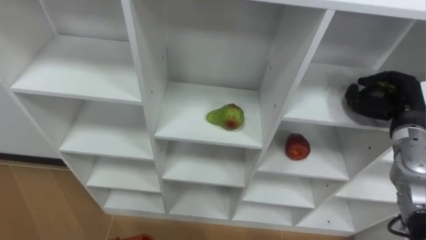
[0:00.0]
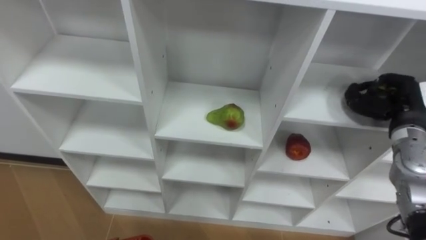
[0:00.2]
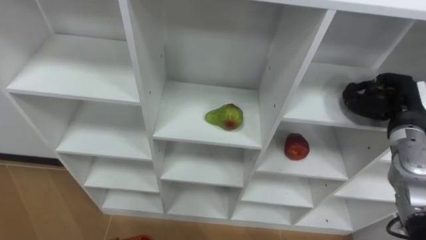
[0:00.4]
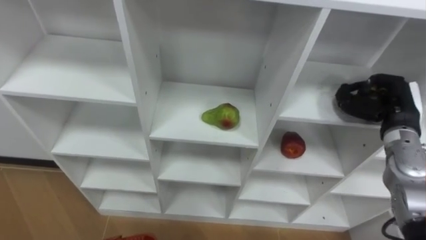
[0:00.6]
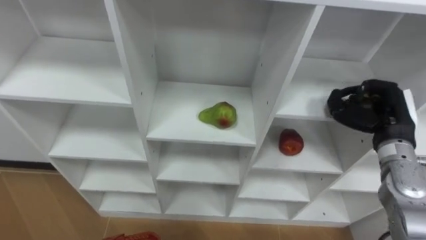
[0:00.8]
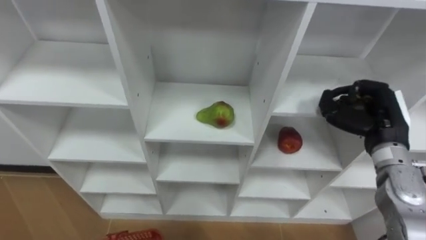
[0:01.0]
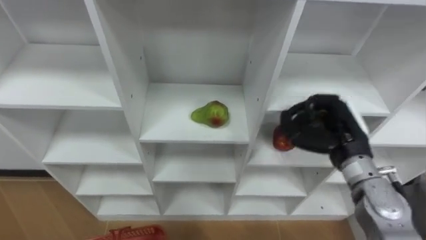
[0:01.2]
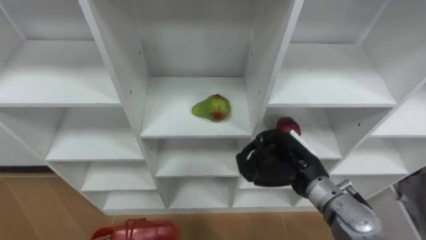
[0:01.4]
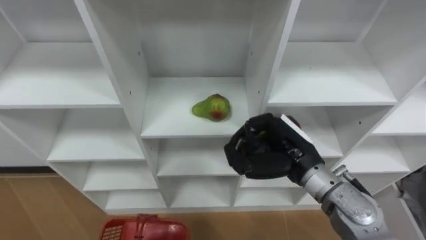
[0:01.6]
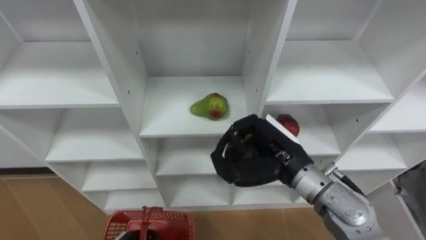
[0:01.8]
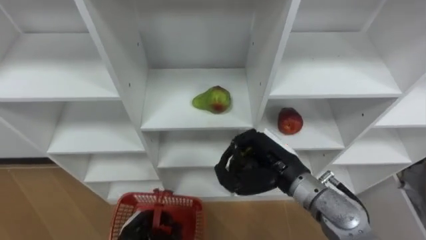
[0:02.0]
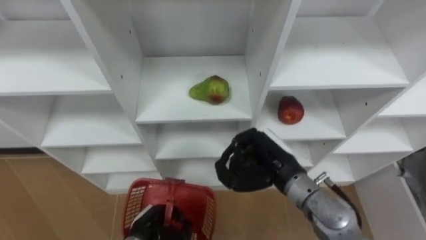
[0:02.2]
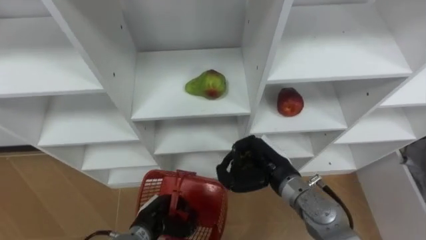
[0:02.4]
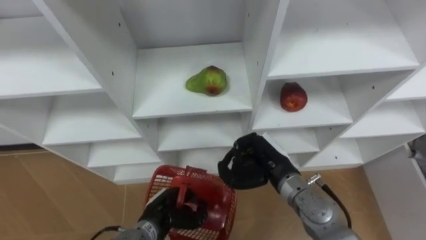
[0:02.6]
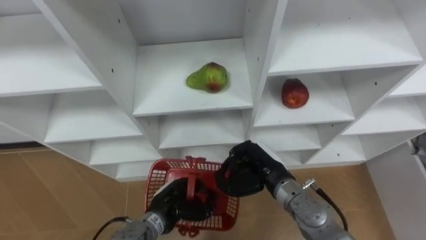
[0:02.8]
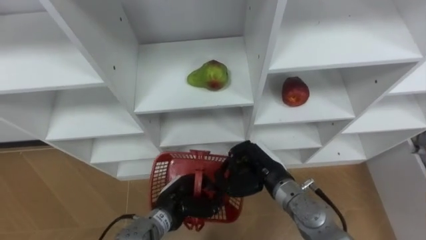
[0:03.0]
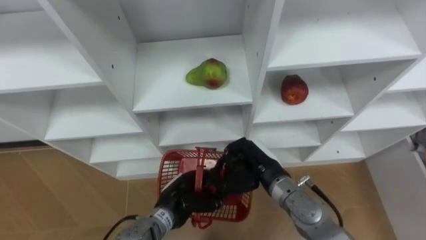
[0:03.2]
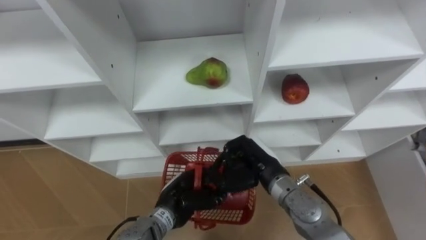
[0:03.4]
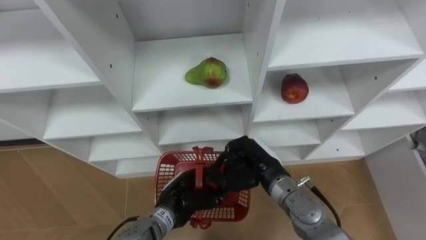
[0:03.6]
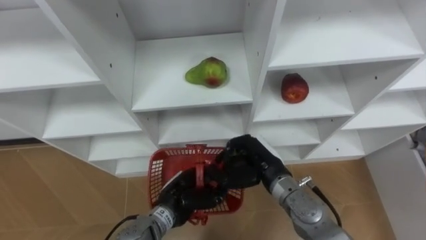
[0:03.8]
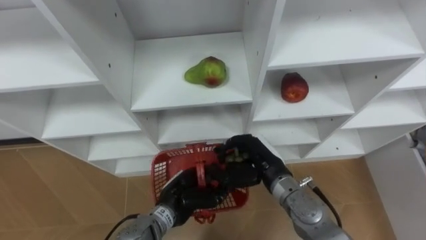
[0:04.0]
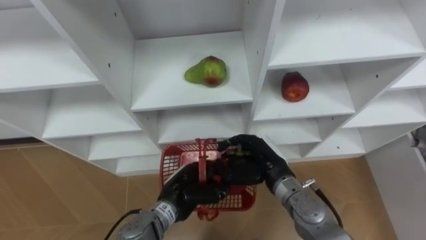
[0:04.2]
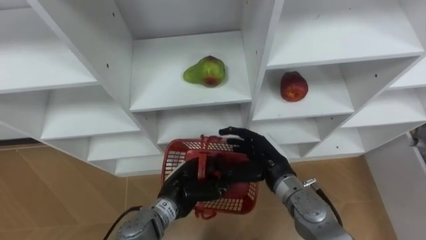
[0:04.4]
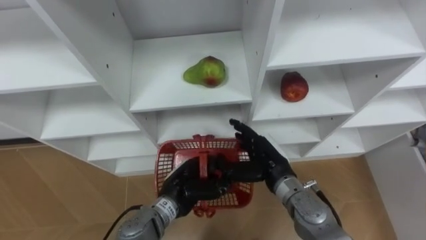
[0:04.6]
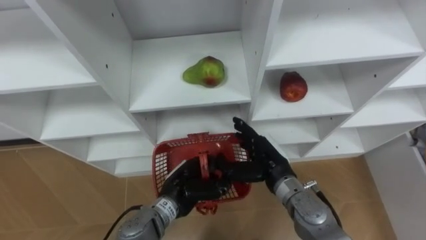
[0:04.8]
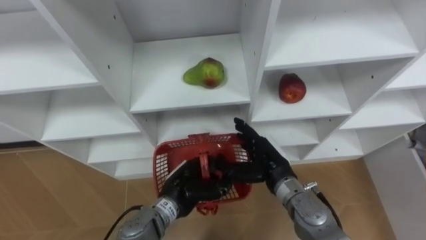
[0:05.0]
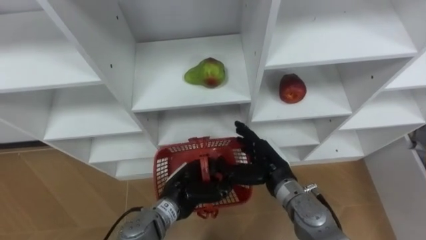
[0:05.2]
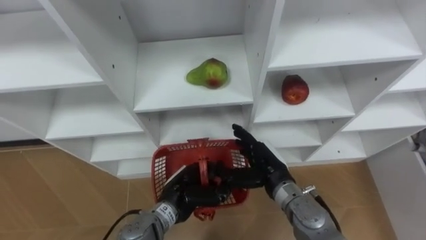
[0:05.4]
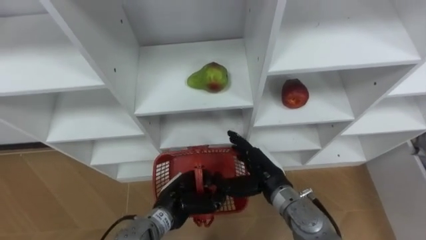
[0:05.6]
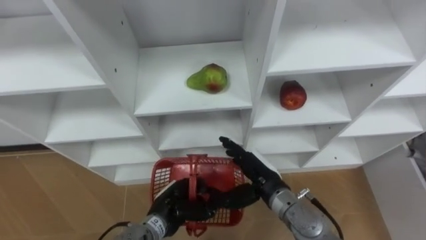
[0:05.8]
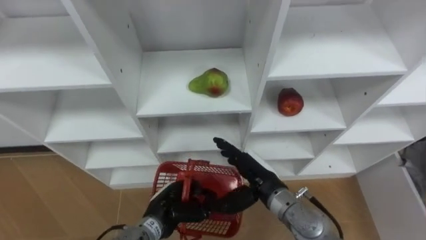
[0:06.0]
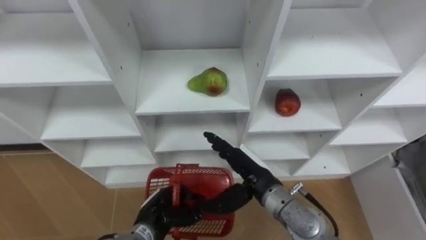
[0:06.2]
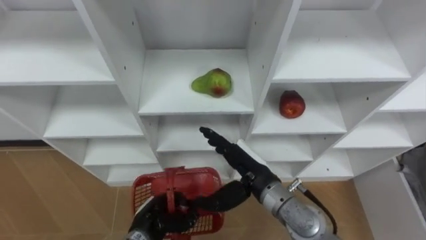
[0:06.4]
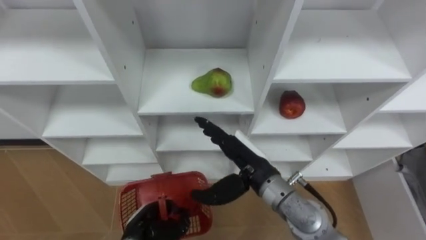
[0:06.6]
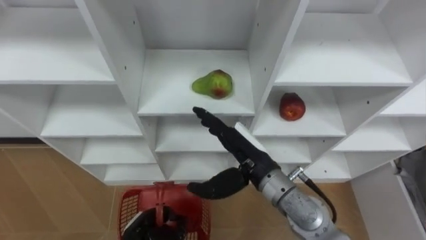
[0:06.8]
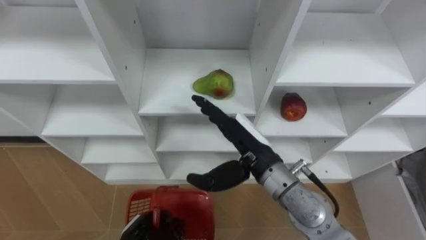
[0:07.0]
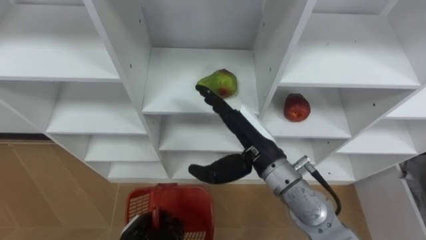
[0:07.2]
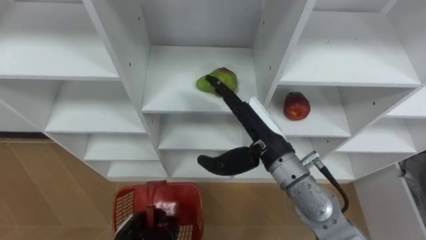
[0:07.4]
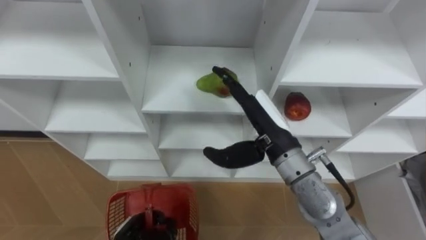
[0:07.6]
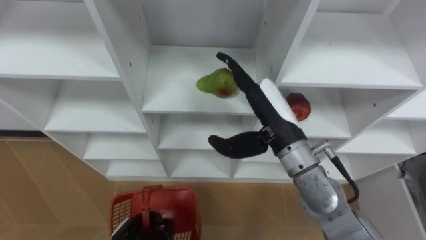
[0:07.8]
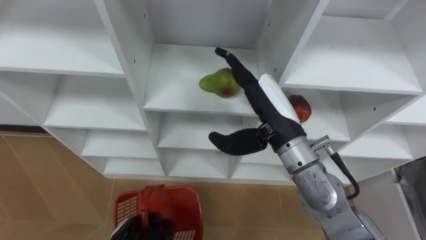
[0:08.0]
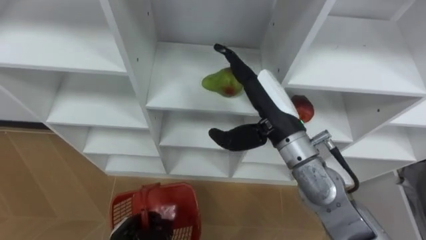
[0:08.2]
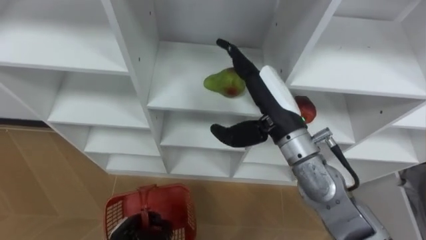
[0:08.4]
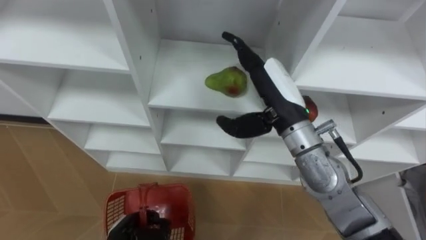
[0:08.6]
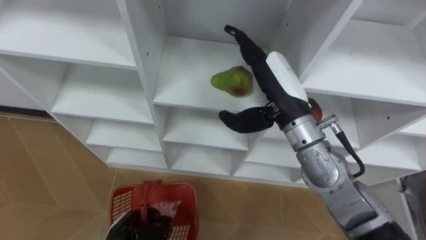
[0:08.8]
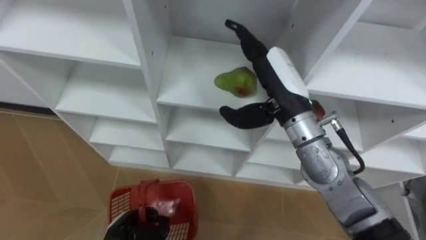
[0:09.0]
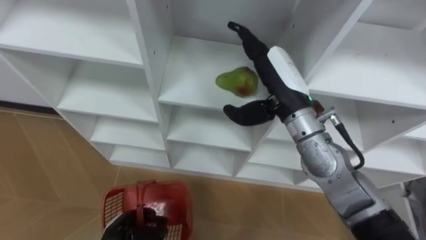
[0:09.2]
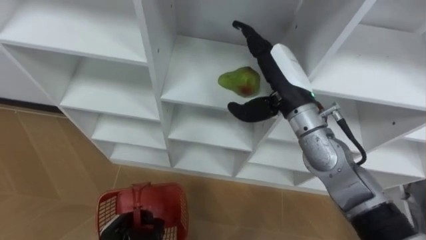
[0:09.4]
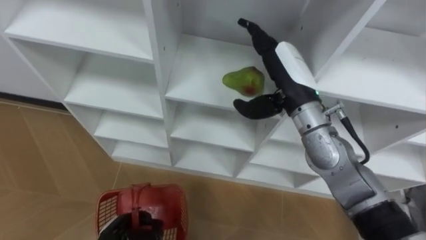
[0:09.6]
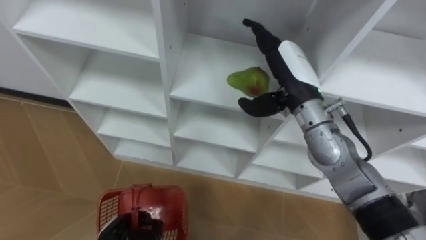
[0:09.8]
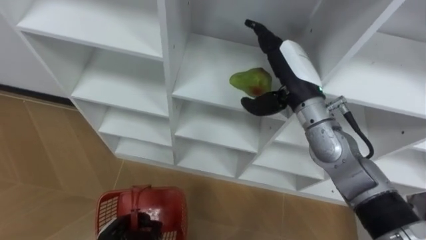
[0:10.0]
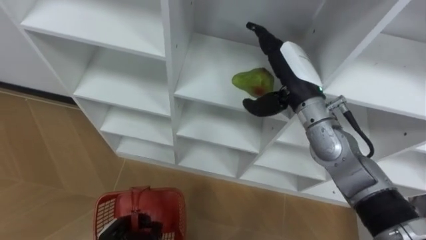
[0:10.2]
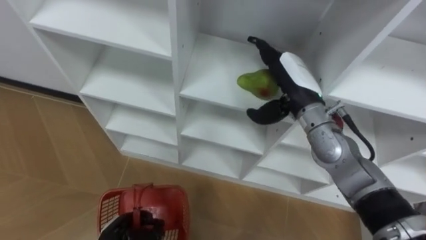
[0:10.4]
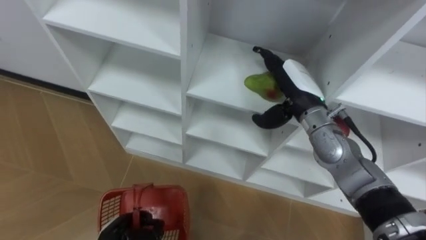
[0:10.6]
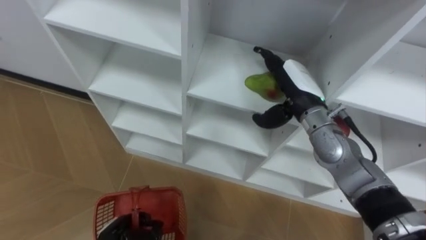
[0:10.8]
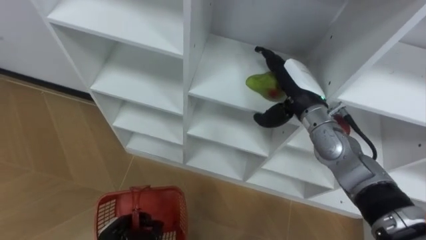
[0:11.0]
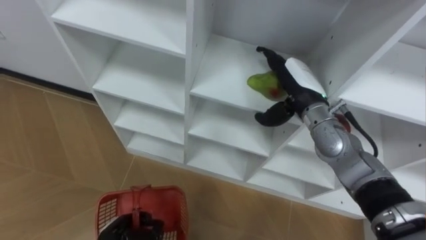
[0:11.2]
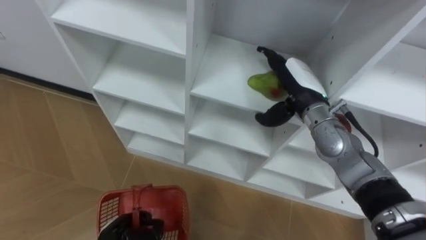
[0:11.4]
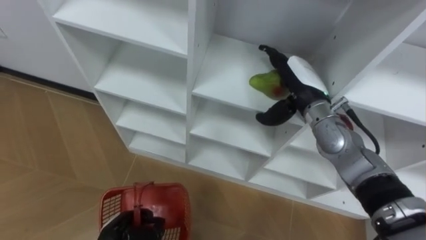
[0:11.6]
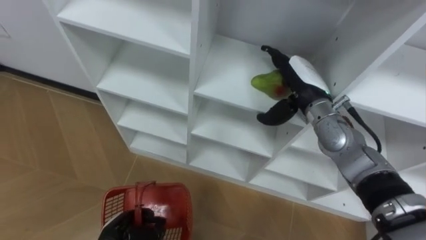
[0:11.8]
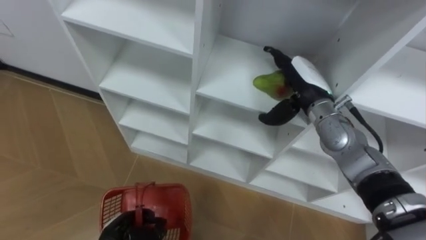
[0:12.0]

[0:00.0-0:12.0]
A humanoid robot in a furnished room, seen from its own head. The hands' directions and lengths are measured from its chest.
Task of the whole recording: Hold the basket and collect the fruits from 3 different cells of the closet into it.
0:00.0 to 0:01.6: The right hand is displaced to the left by approximately 20 cm.
0:01.6 to 0:03.0: The right hand moves downward, approximately 10 cm.
0:03.0 to 0:04.4: The right hand opens.
0:04.4 to 0:06.0: The left hand changes place by roughly 5 cm.
0:06.0 to 0:07.6: The right hand goes about 15 cm upward; the left hand moves to the left, backward and downward, some 10 cm.
0:07.6 to 0:09.0: The right hand shifts approximately 5 cm upward.
0:09.0 to 0:10.4: The right hand ends up some 5 cm from where it was.
0:10.4 to 0:12.0: The right hand shifts by roughly 5 cm.

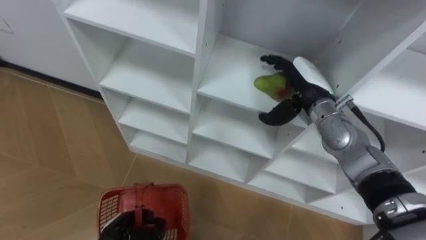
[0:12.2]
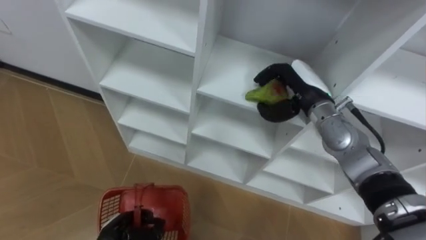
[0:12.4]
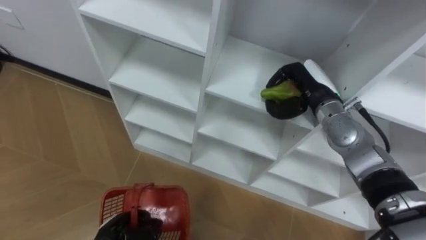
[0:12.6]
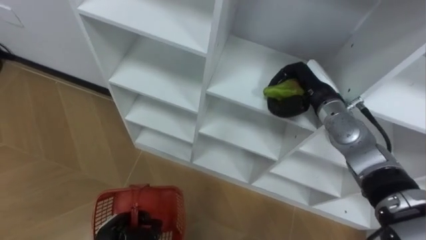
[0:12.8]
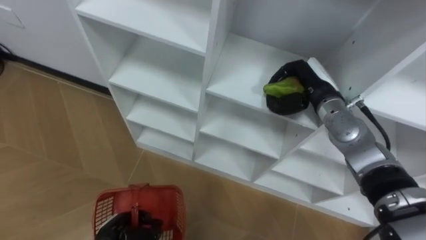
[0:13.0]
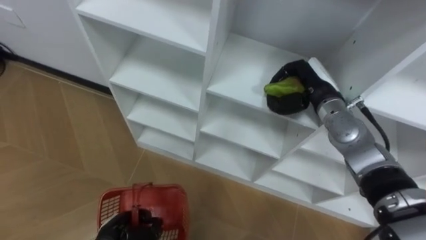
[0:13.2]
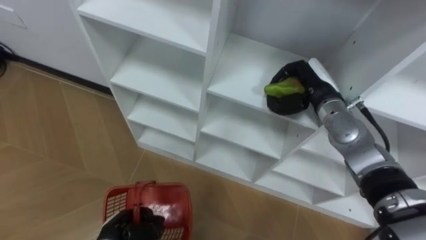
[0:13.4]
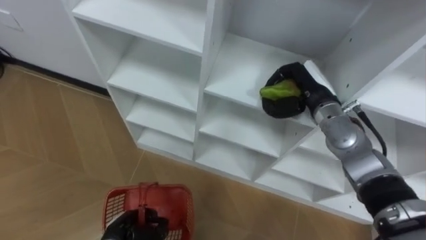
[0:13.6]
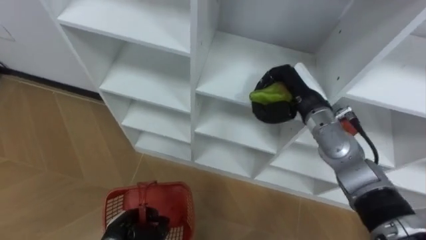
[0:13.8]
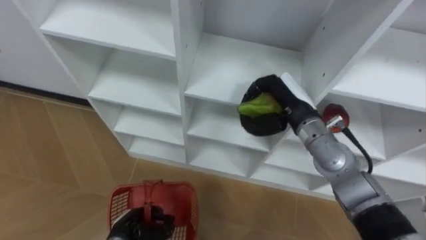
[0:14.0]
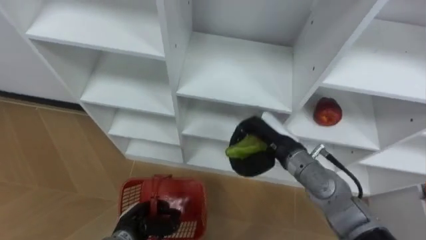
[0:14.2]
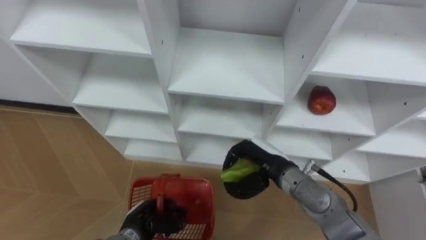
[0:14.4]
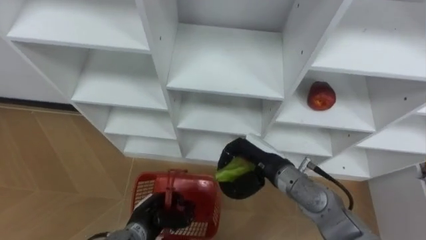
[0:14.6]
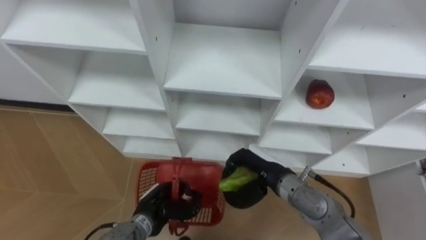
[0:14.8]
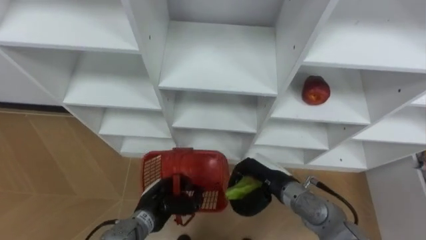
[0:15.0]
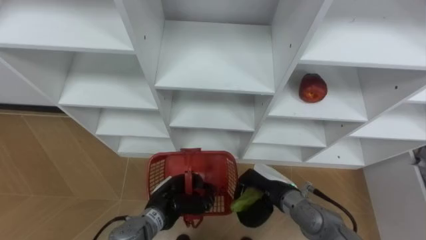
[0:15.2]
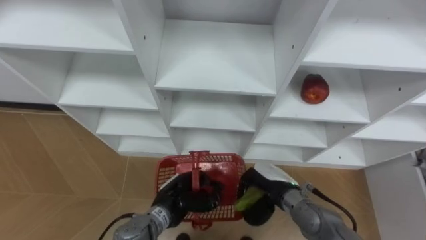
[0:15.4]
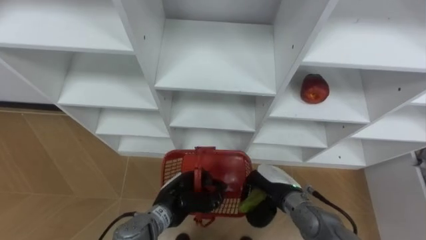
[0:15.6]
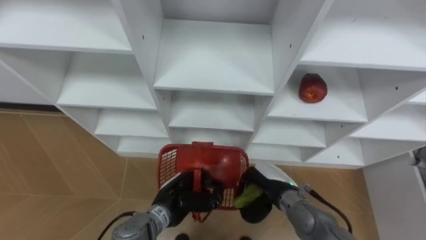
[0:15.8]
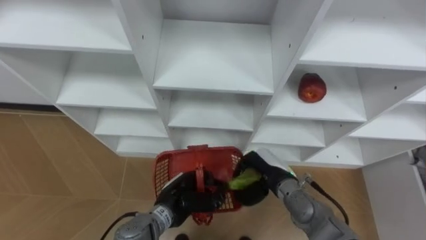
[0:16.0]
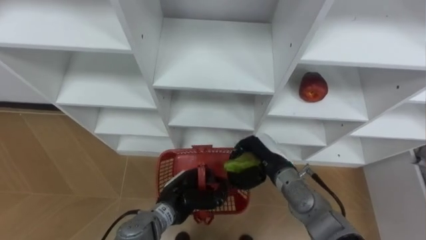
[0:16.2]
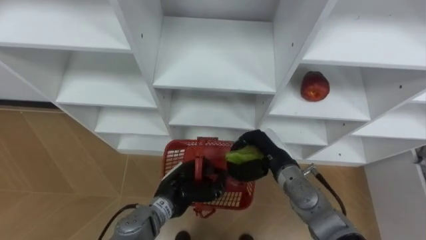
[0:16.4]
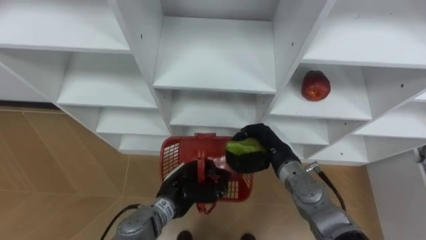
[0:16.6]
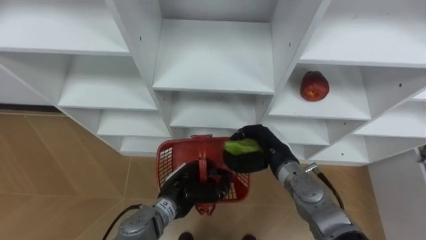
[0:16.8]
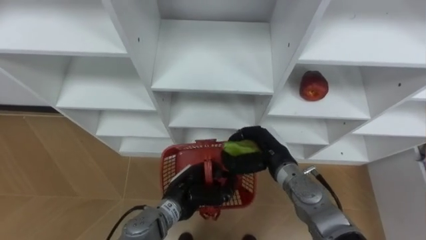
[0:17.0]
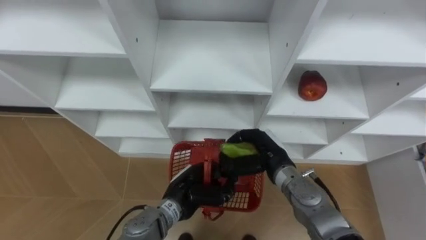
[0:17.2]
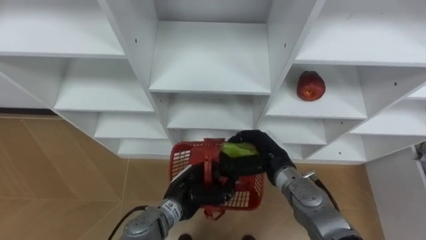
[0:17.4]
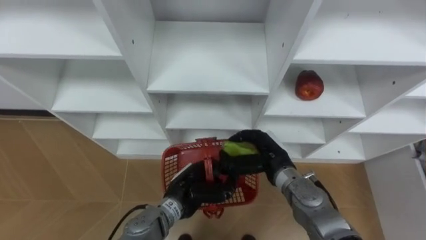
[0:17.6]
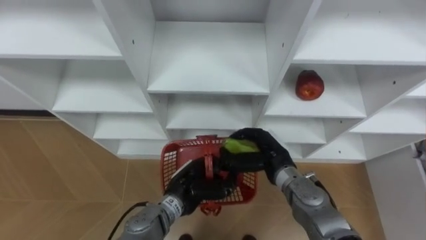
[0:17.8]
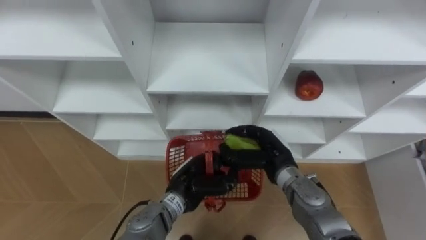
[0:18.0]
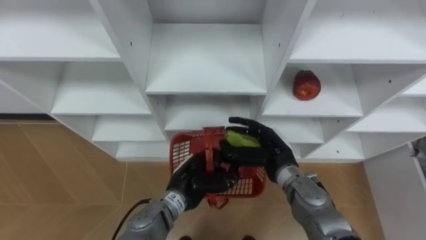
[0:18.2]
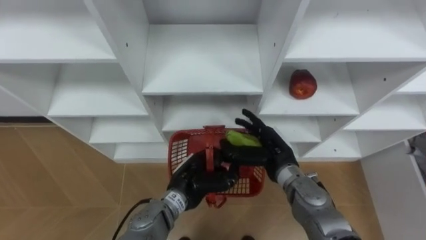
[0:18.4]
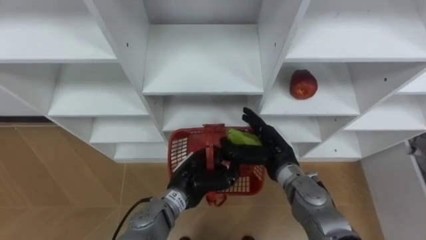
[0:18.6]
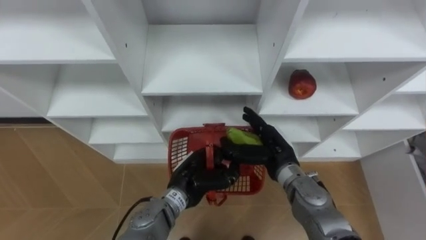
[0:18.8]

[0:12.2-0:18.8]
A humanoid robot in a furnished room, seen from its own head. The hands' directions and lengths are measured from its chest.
Task of the whole recording: Hold the basket and collect the fruits from 3 different cells of the closet into it.
0:12.2 to 0:13.8: The right hand closes its fingers.
0:13.8 to 0:15.4: The right hand heads downward and backward, covering about 20 cm. Meanwhile the left hand is displaced to the right, forward and upward by approximately 15 cm.
0:15.4 to 0:17.2: The right hand changes place by roughly 5 cm.
0:17.2 to 0:18.8: The right hand opens up.
